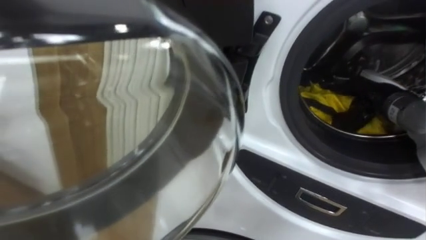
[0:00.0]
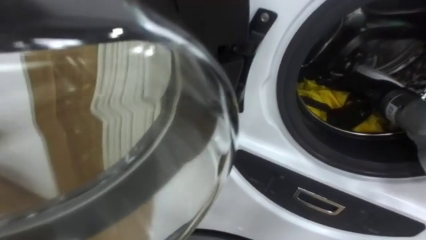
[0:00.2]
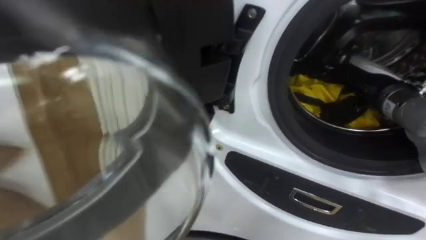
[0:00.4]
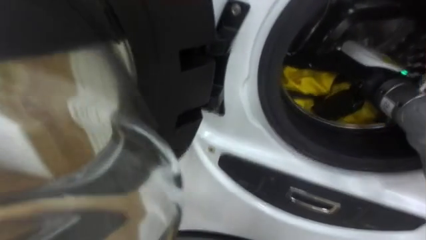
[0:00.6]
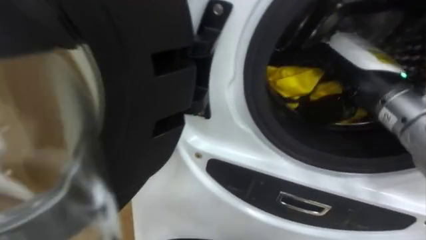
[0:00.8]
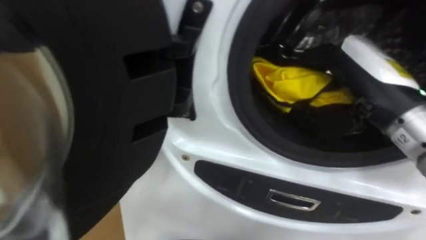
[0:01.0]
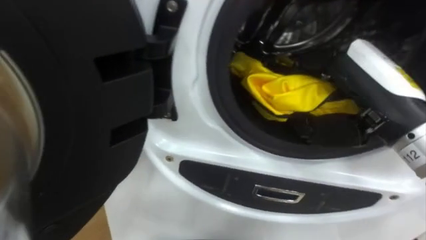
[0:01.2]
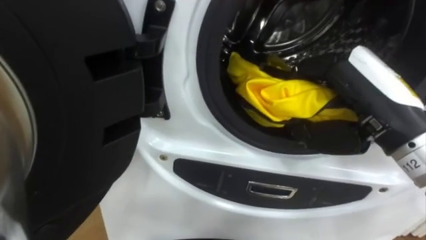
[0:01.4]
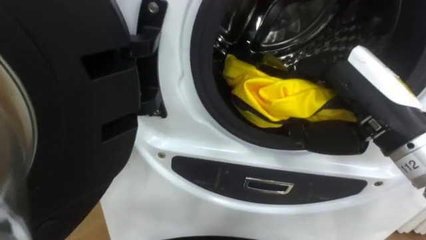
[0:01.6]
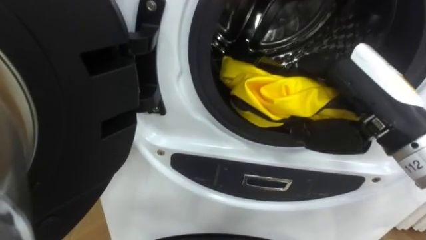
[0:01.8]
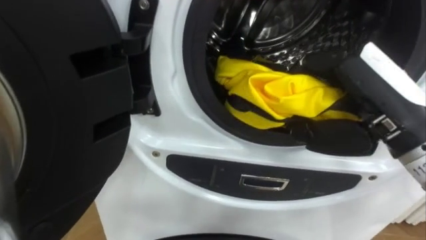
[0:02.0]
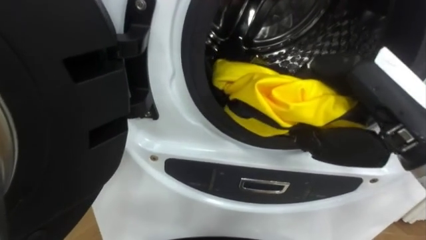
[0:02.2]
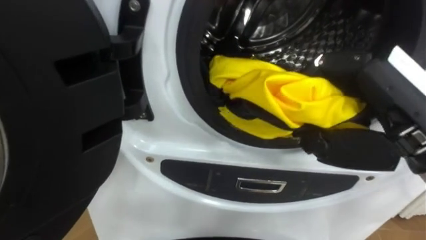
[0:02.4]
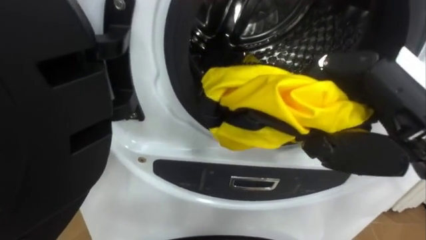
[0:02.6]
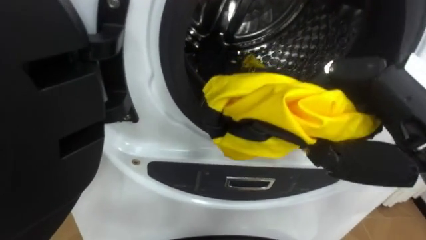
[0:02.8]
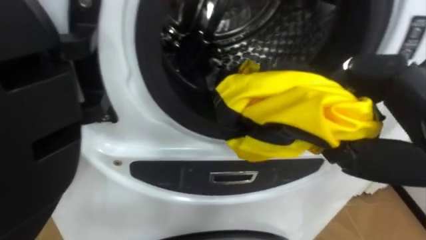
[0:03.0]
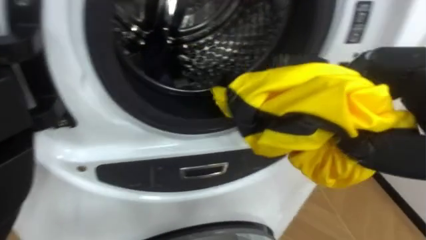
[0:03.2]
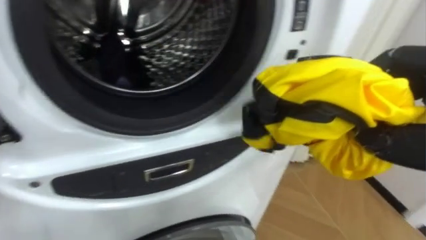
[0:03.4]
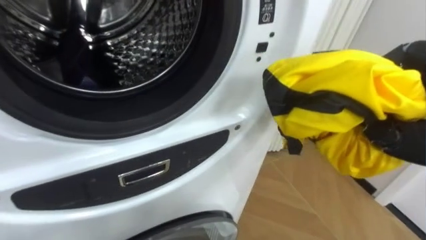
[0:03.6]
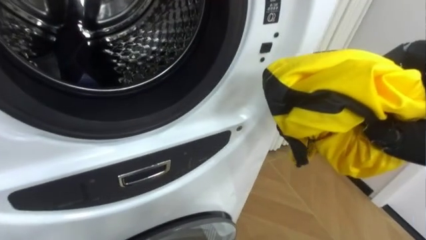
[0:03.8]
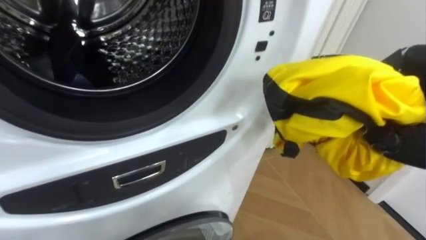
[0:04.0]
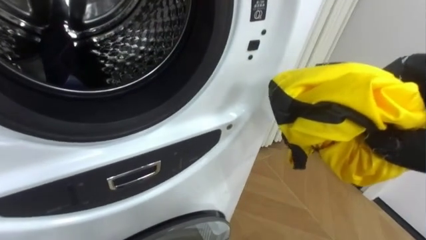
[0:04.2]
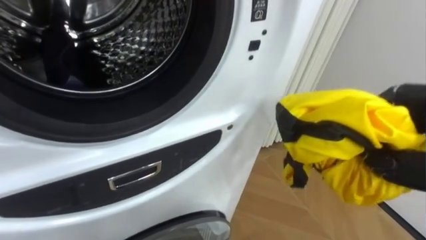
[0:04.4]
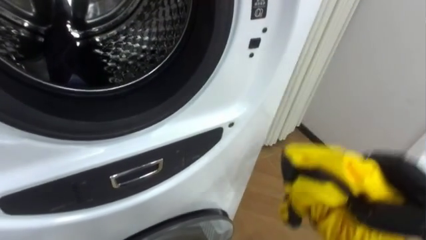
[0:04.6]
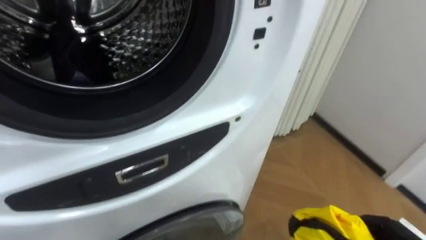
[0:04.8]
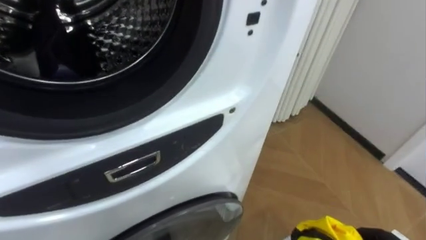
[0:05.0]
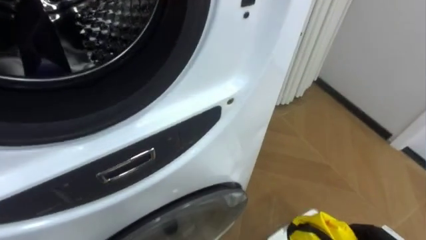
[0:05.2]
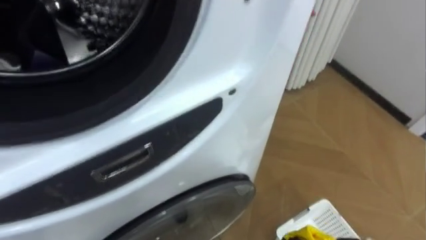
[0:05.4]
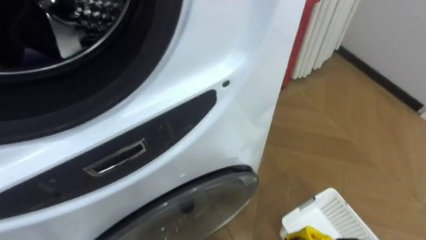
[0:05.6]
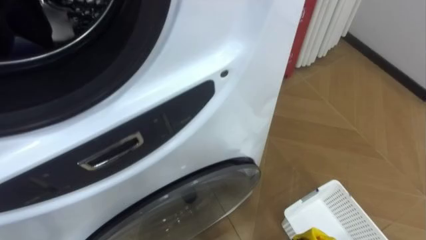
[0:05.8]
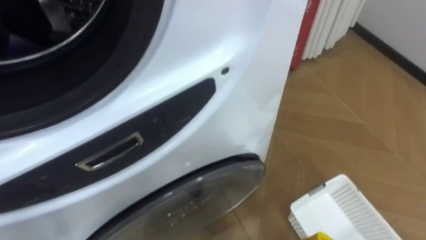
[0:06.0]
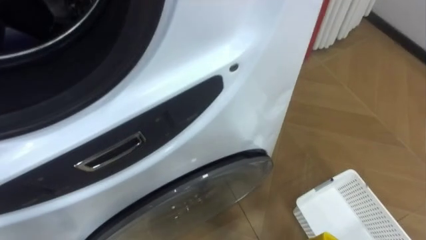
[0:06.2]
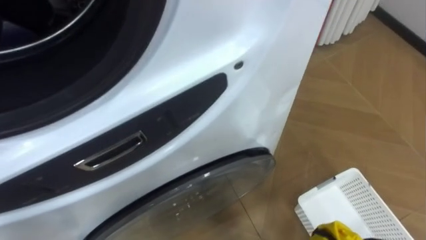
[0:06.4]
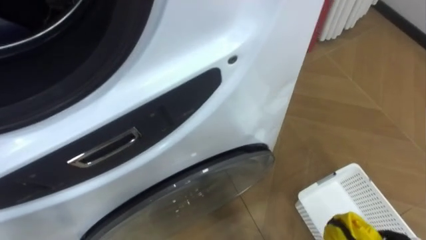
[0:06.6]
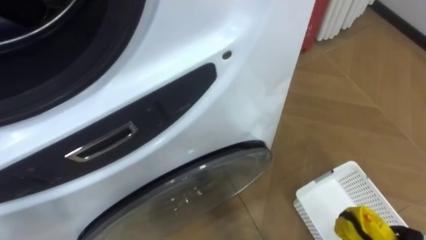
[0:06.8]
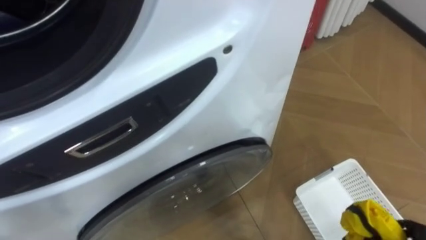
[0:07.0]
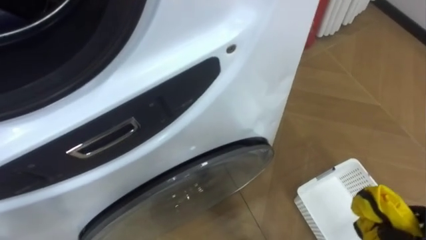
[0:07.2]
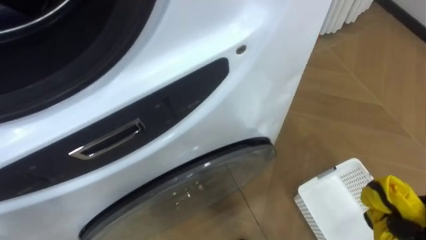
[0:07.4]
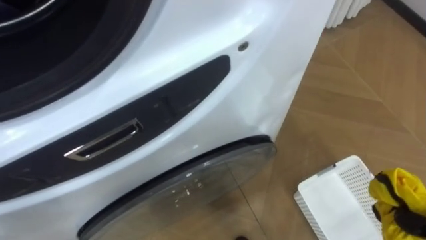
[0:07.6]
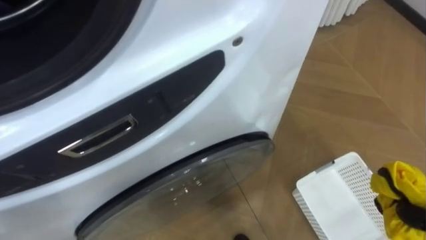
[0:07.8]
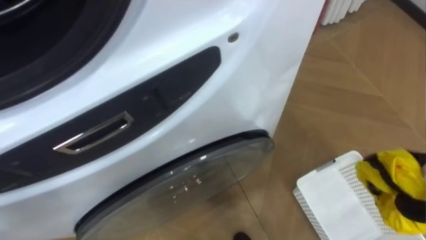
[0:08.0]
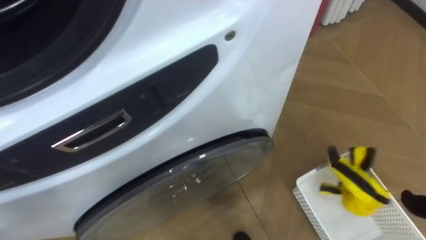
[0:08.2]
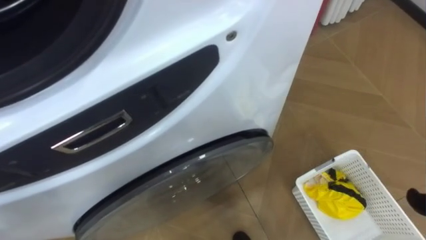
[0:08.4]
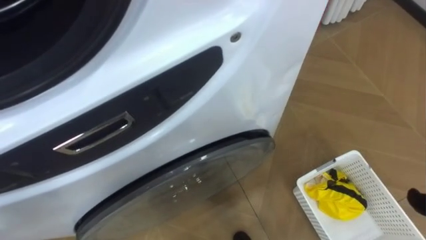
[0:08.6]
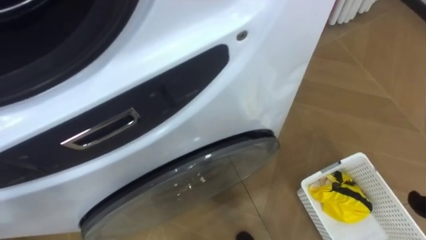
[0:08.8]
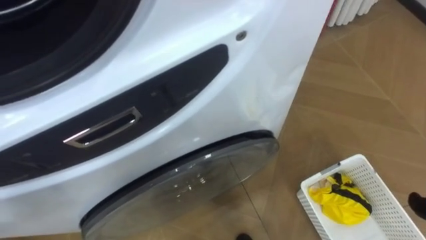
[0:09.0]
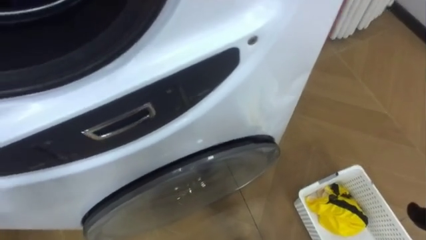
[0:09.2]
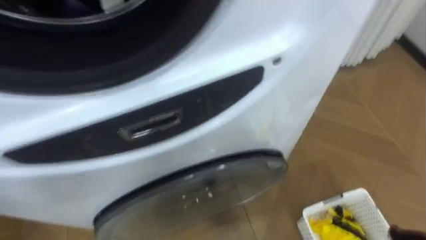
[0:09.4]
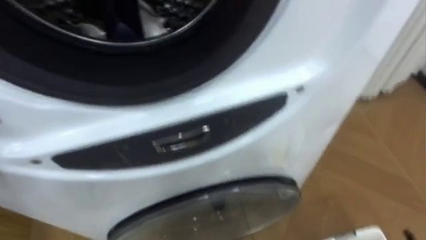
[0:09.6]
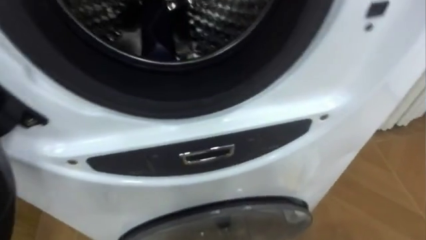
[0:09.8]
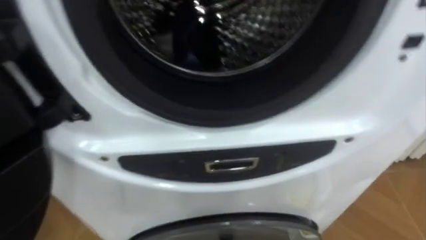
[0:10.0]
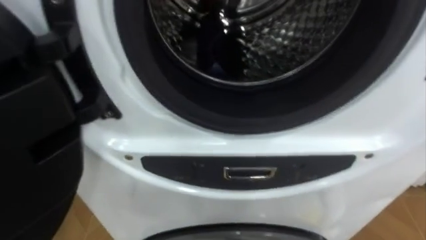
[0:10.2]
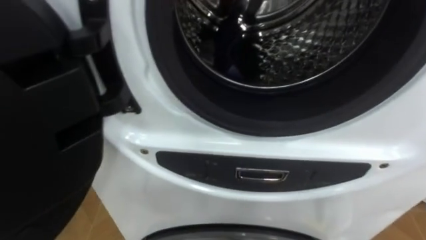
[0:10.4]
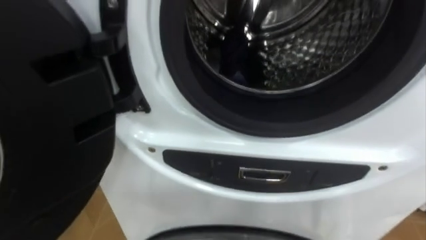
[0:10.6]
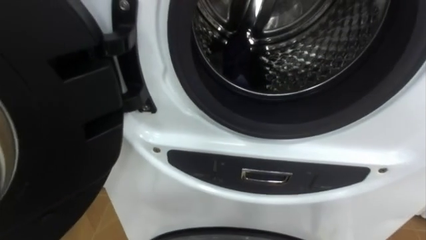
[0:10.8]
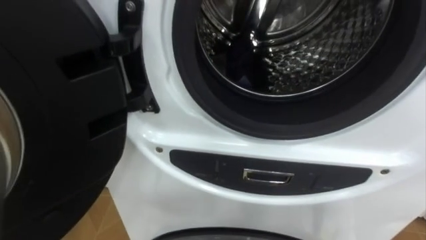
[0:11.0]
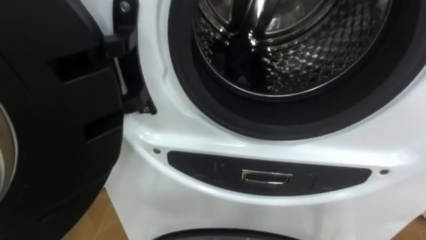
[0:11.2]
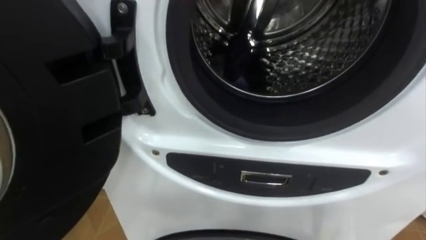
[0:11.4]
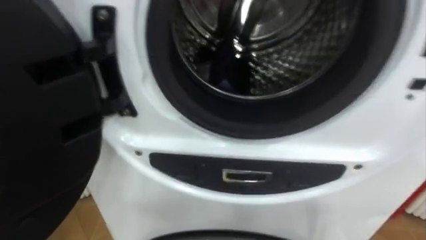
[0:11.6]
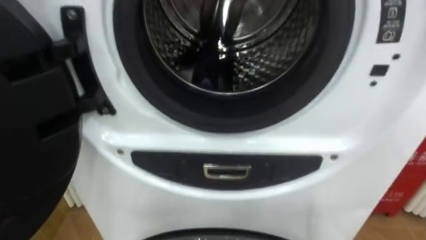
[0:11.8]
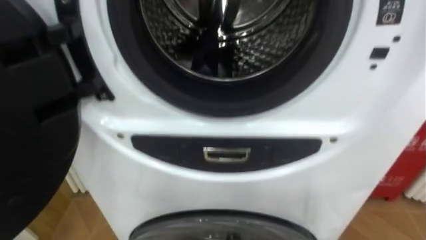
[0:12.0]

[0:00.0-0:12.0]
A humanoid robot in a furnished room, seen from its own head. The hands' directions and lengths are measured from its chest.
Task of the whole recording: Open the washing machine door, take out the yellow clothes, place them in the box on the right, and close the washing machine door.
0:00.0 to 0:01.6: The right hand shifts some 20 cm backward, upward and to the left.
0:01.6 to 0:03.0: The right hand shifts by roughly 5 cm.
0:09.0 to 0:10.4: The robot turns to its left by roughly 20 degrees.

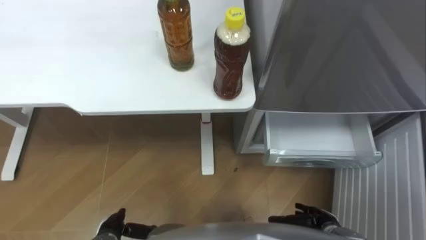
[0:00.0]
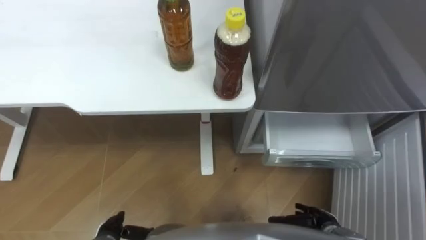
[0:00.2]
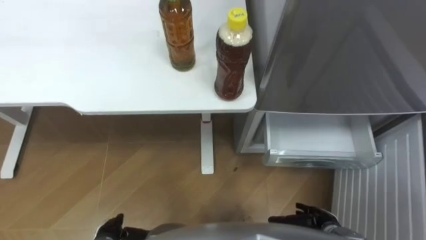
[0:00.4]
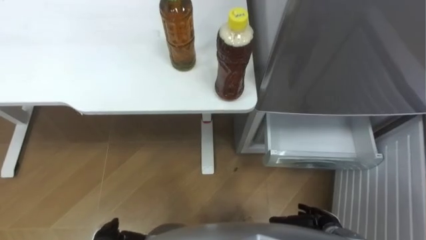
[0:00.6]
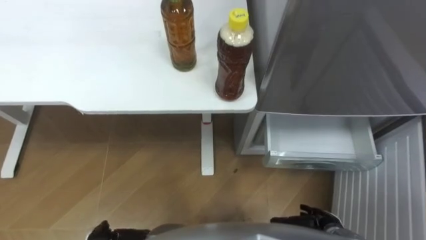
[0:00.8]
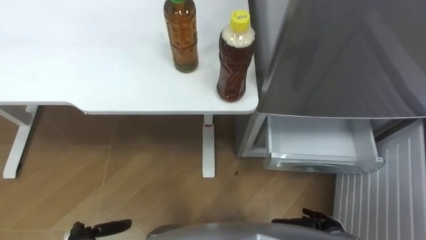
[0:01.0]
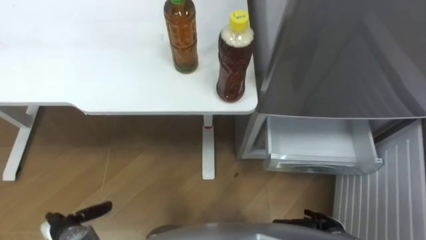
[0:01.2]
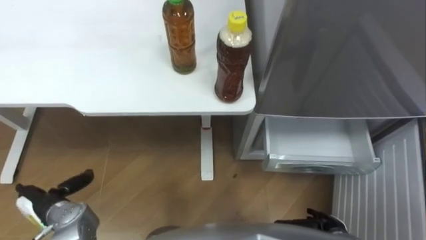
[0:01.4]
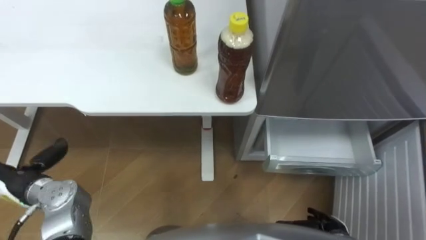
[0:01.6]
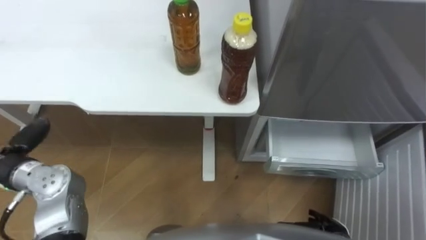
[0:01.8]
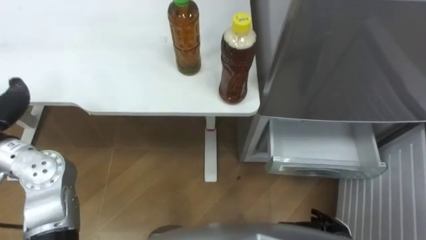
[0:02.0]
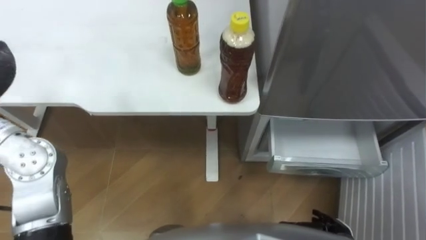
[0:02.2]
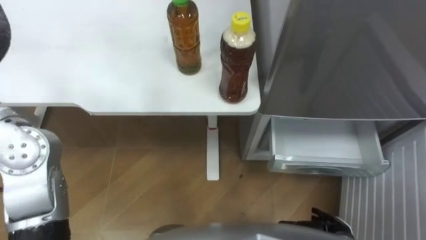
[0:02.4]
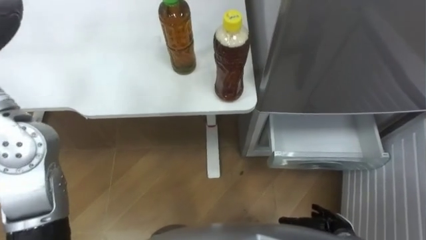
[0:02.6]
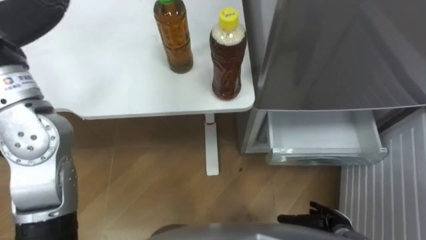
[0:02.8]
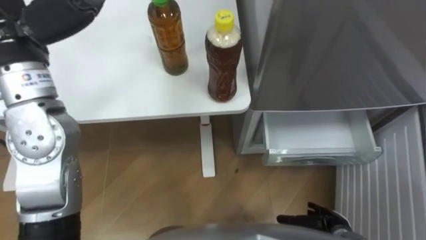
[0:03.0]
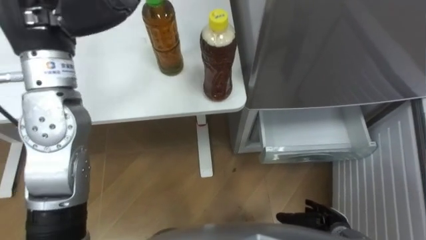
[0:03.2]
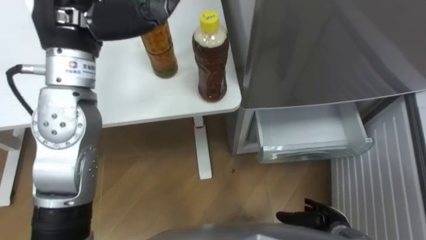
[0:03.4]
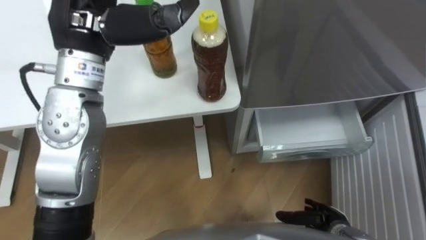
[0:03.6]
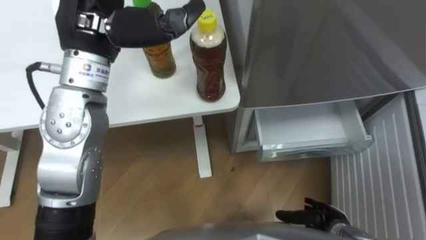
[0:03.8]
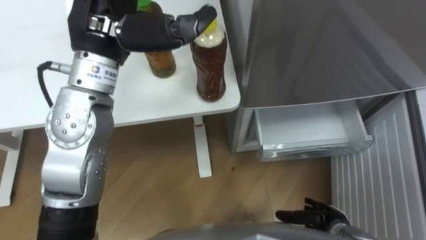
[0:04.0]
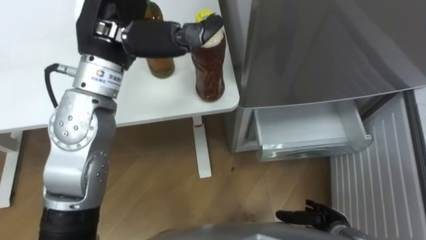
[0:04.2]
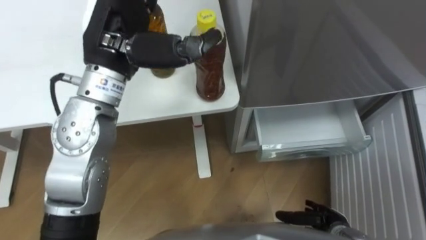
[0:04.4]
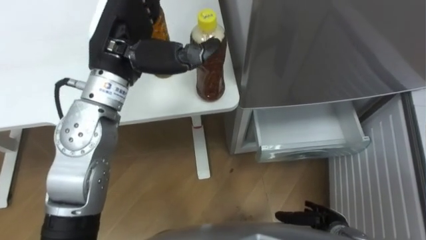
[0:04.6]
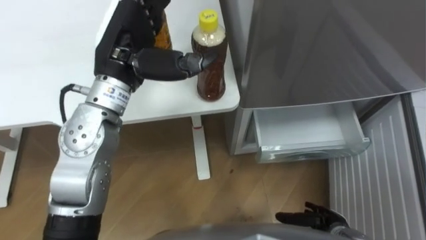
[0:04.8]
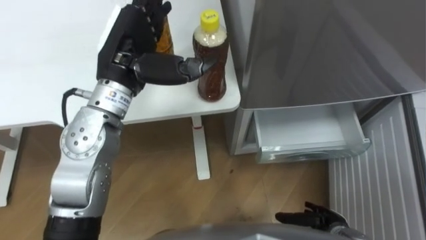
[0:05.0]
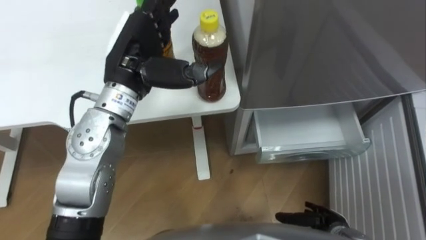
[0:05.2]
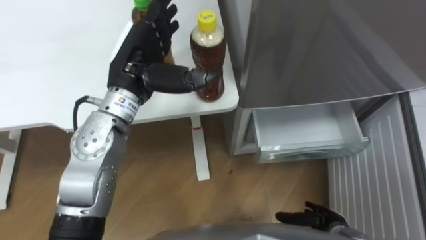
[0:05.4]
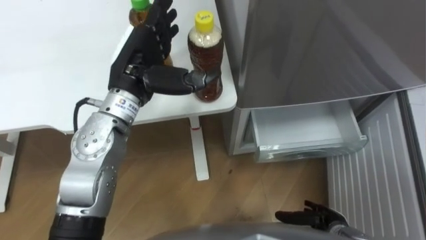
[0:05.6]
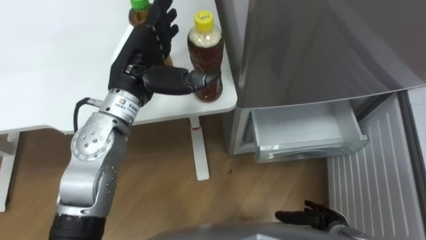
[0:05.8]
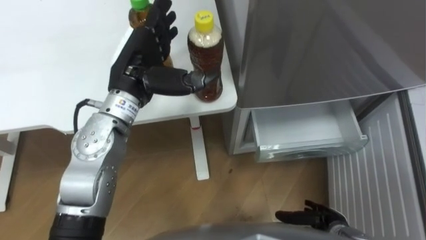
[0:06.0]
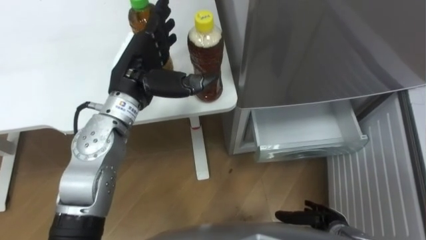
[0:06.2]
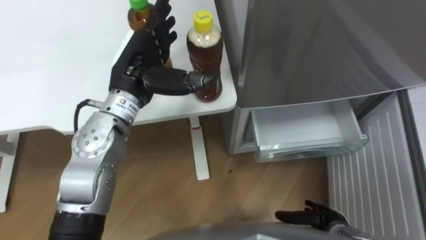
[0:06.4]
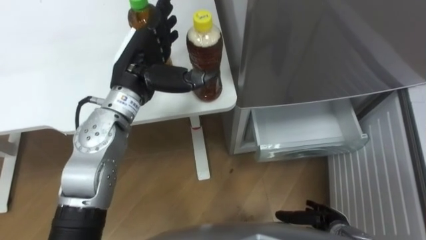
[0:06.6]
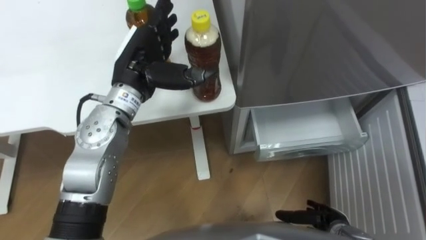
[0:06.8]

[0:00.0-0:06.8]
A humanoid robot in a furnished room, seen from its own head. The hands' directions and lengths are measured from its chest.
Task of the whole recording: Place the drink on the table on the bottom shelf of the refrigerator, then close the drawer and the refrigerator door.
0:04.0 to 0:05.4: The left hand moves downward, about 10 cm.
0:05.4 to 0:06.8: The hands stay close to where they were, moving slightly.
